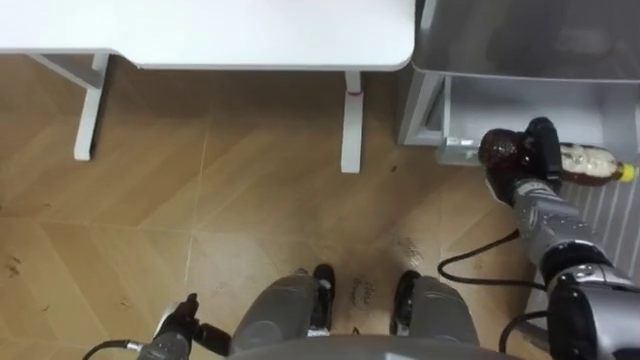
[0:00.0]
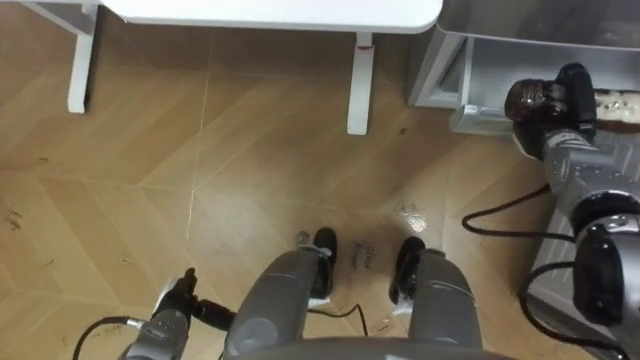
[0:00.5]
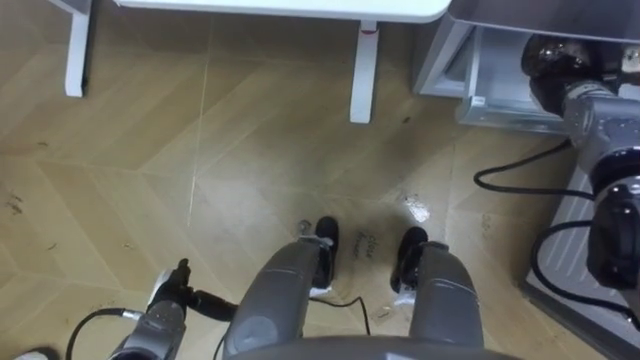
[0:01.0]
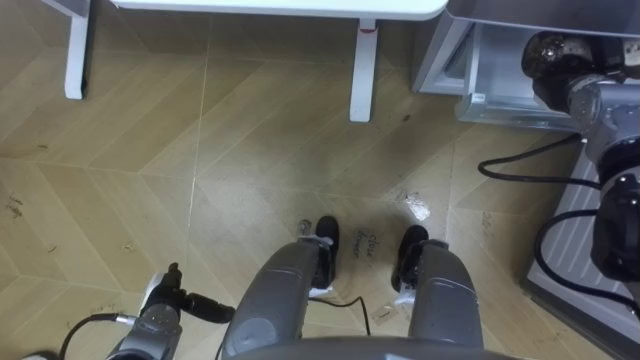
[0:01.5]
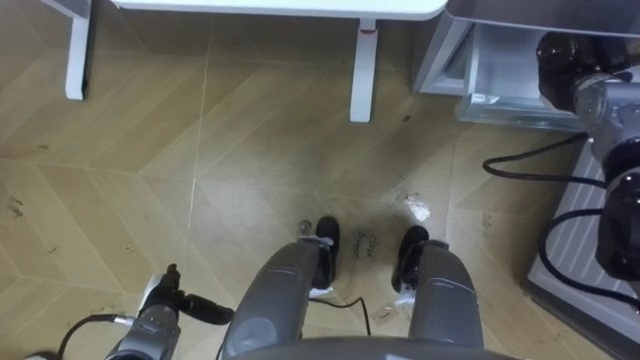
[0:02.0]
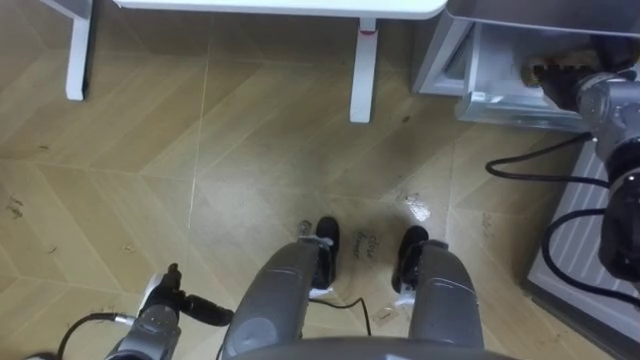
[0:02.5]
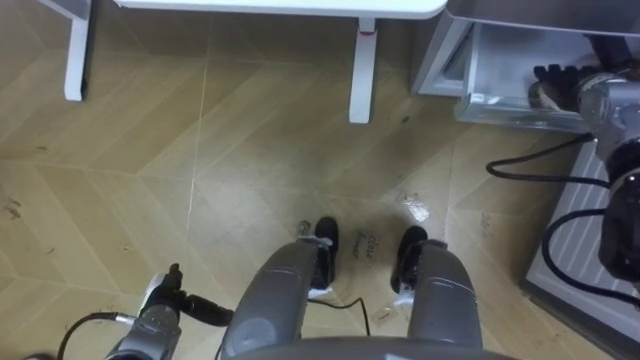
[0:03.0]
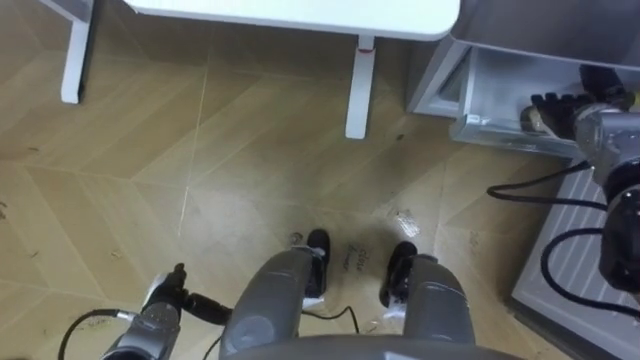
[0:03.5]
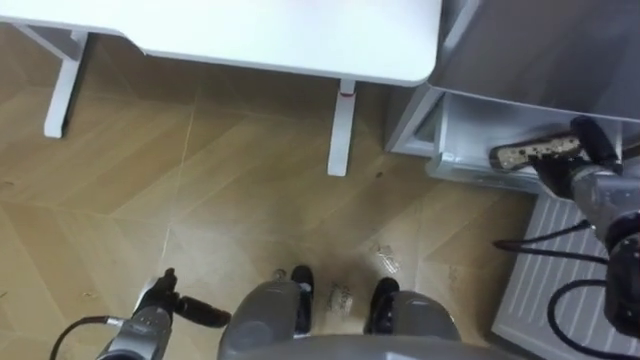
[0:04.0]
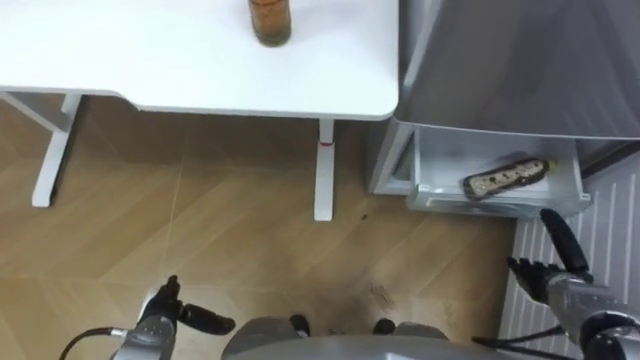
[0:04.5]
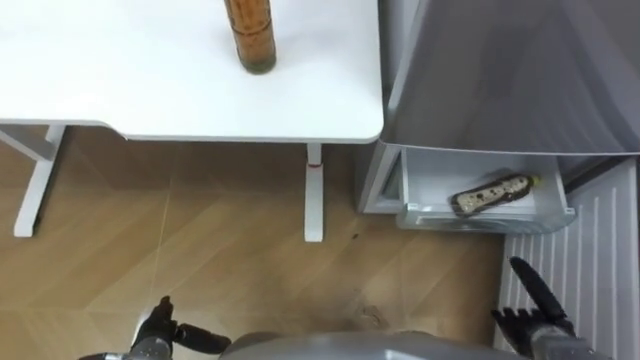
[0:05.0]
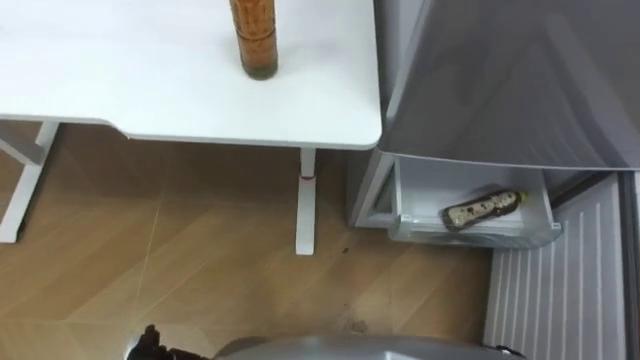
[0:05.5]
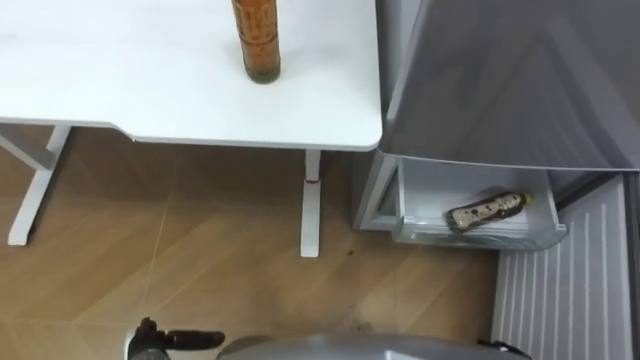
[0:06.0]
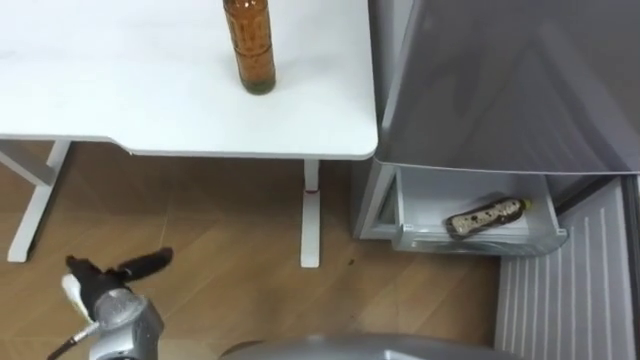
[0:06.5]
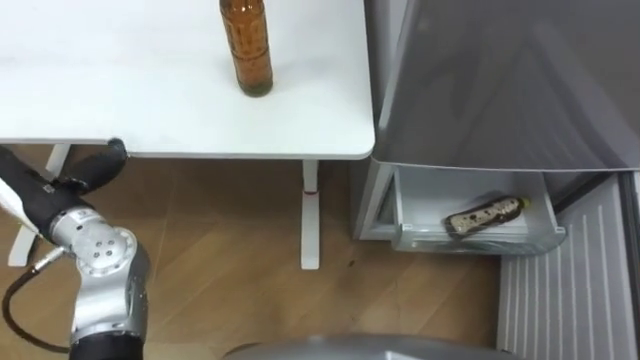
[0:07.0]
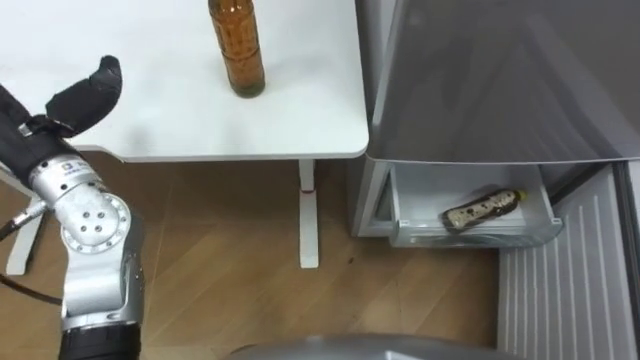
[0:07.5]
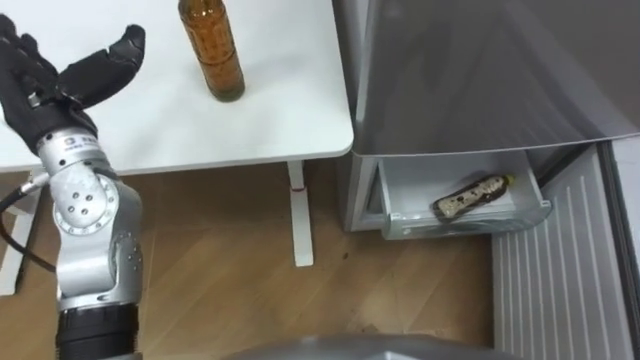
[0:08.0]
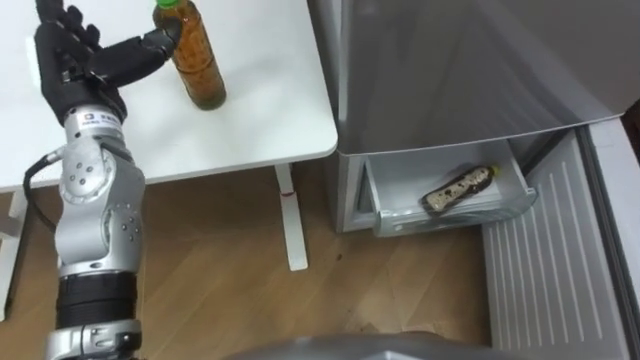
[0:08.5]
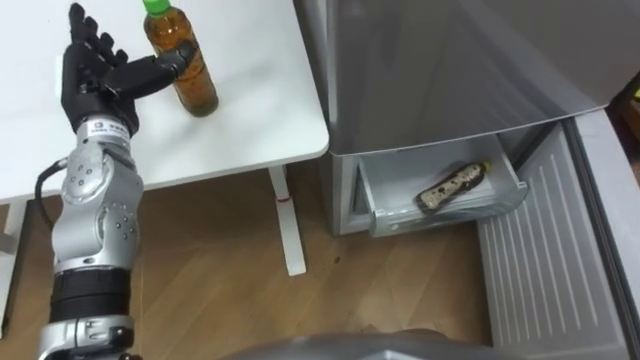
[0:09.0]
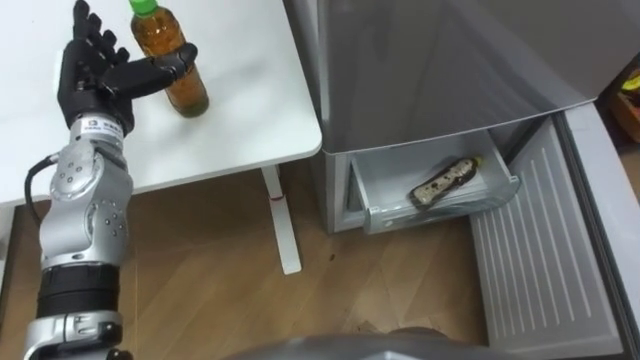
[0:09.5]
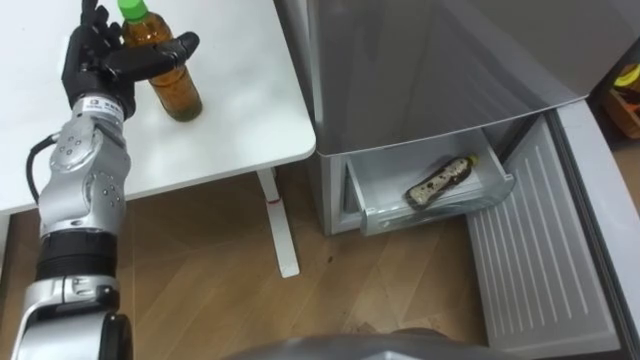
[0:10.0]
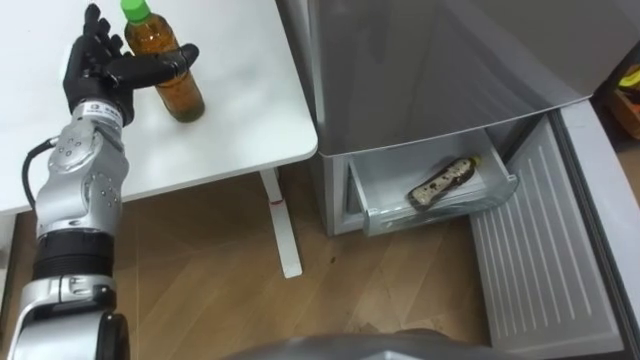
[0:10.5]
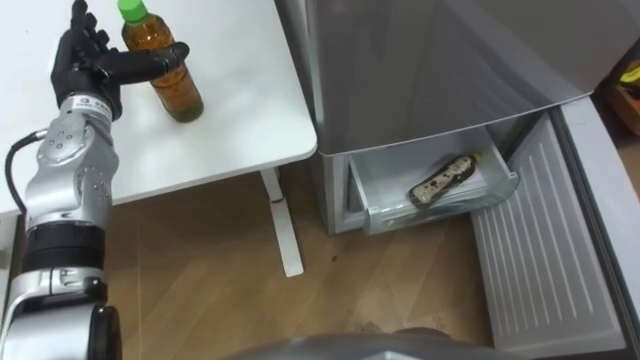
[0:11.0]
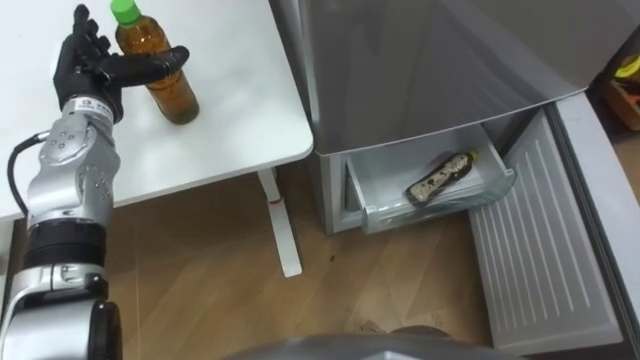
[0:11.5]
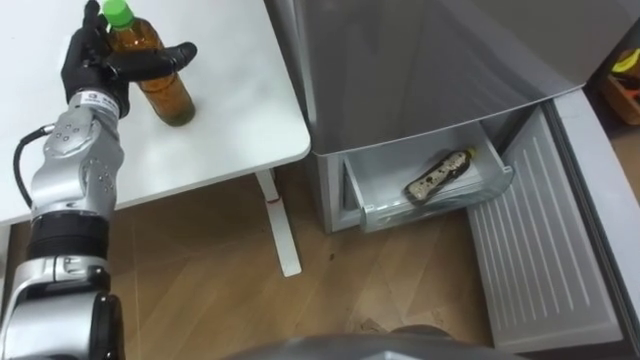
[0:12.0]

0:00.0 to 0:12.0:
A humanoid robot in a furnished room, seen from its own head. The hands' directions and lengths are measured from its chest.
Task of the whole recording: Place the drink on the table on the bottom shelf of the refrigerator, then close the drawer and the refrigerator door.
0:00.0 to 0:02.0: The right hand heads upward and forward, covering about 15 cm, and opens its fingers.
0:02.0 to 0:04.0: The right hand is displaced backward and downward by some 10 cm.
0:06.0 to 0:08.0: The left hand moves upward and forward, roughly 40 cm.
0:08.0 to 0:10.0: The left hand is displaced forward by approximately 10 cm.

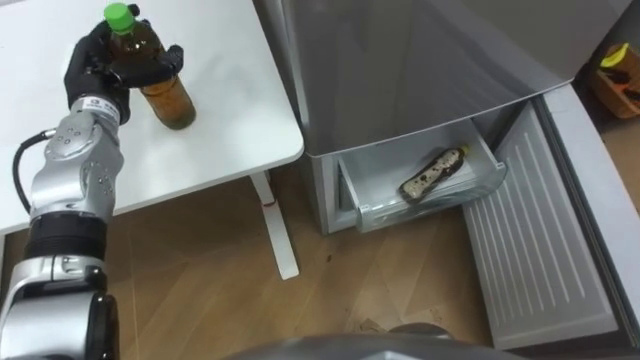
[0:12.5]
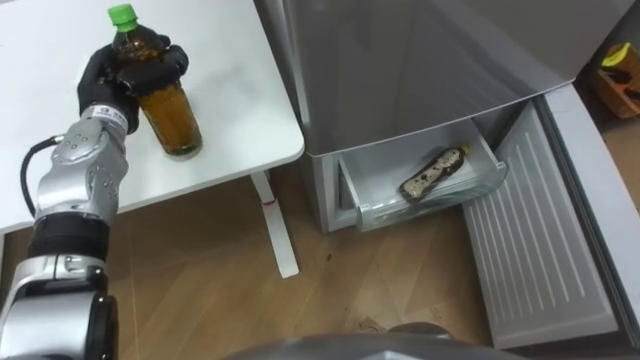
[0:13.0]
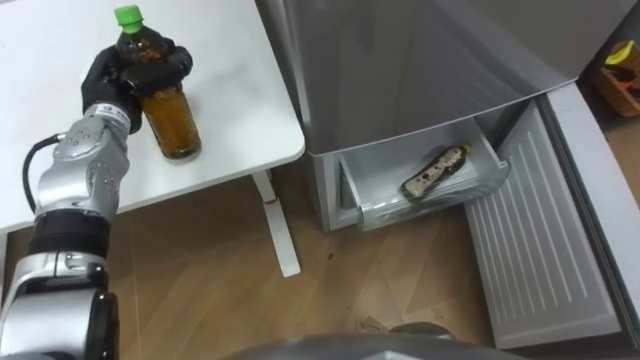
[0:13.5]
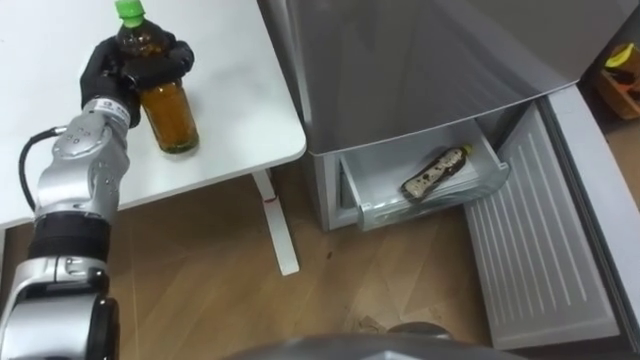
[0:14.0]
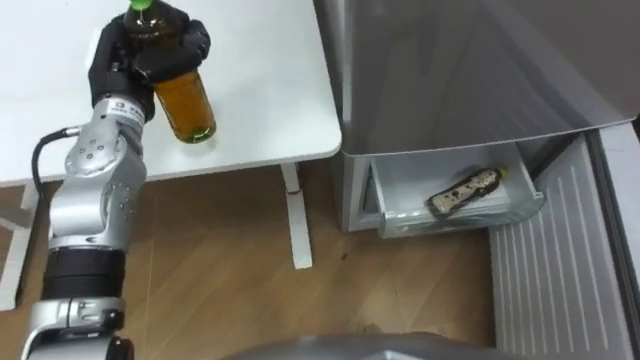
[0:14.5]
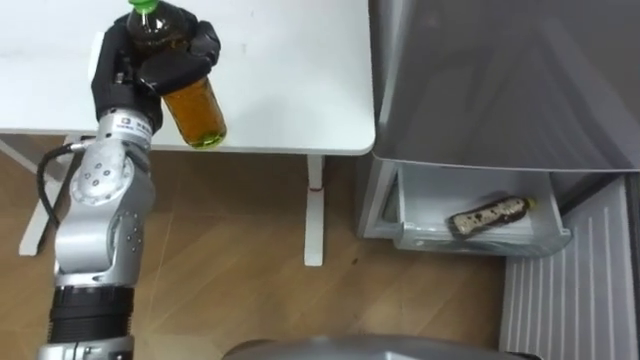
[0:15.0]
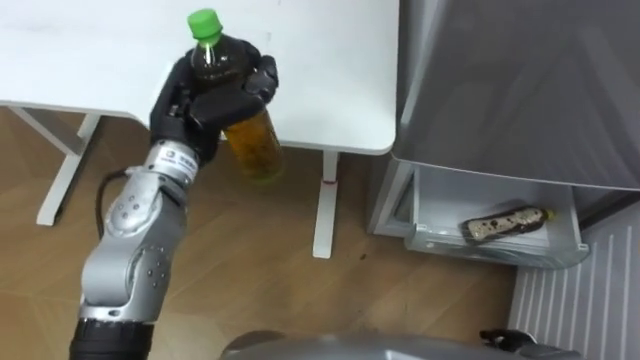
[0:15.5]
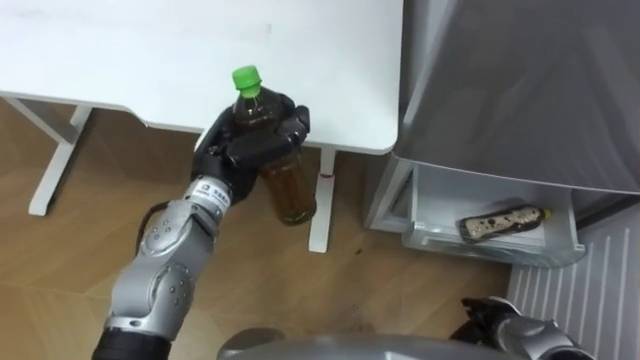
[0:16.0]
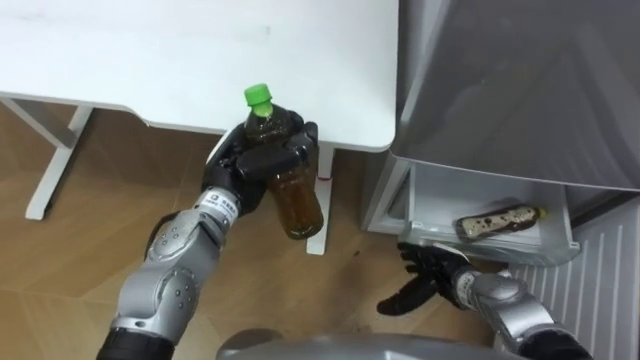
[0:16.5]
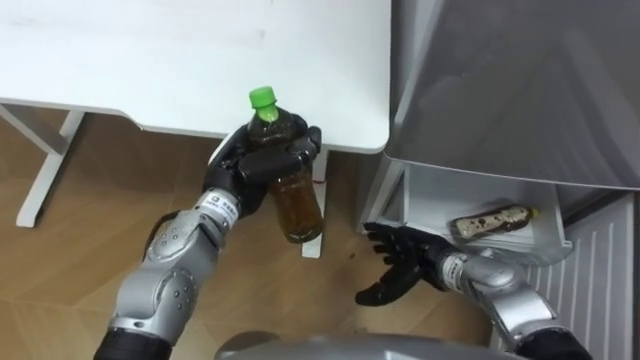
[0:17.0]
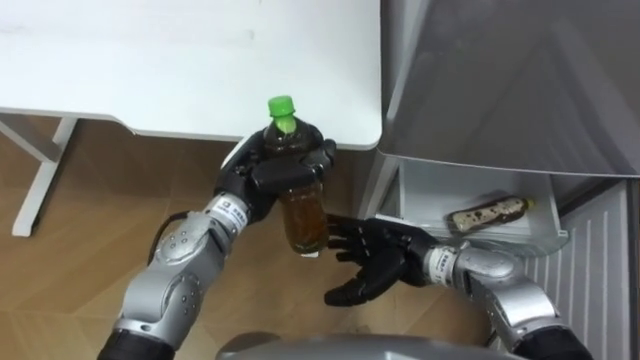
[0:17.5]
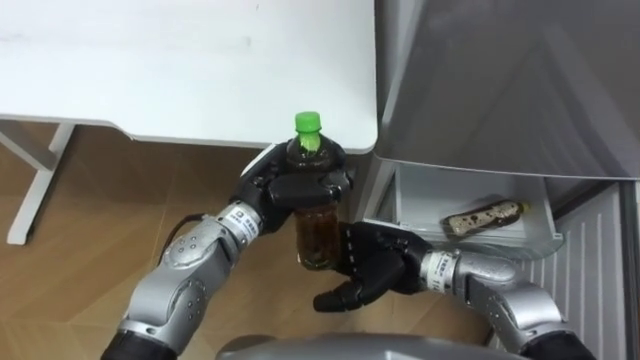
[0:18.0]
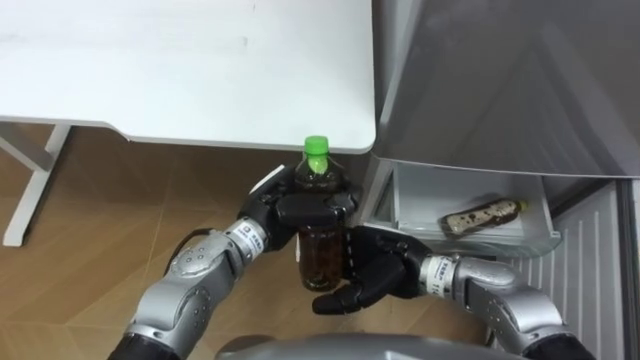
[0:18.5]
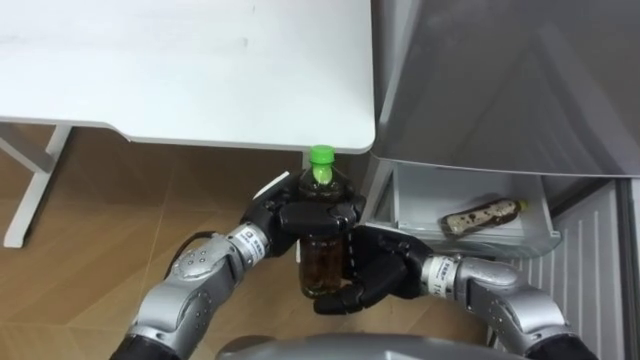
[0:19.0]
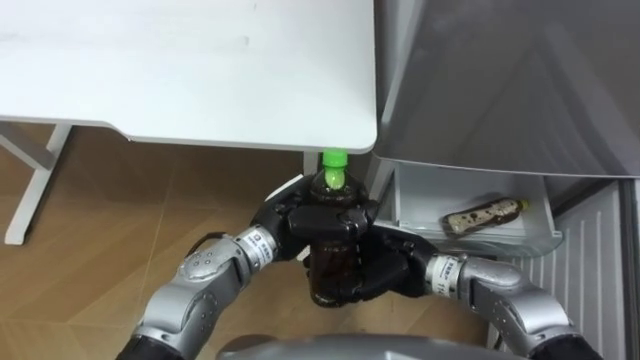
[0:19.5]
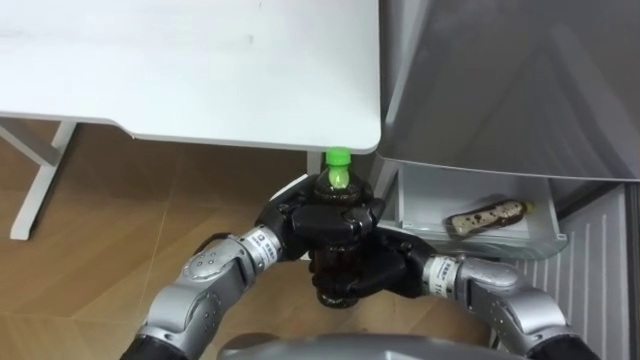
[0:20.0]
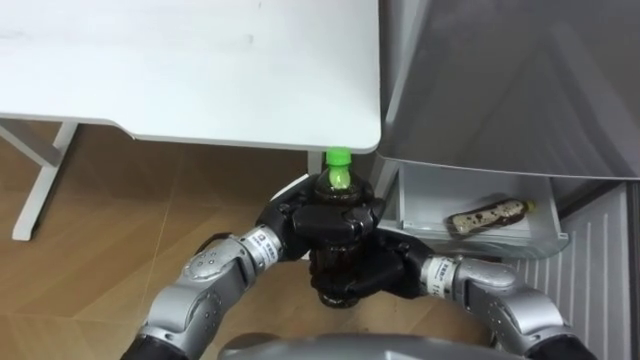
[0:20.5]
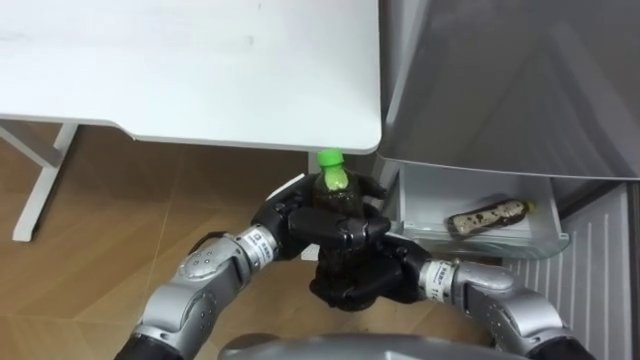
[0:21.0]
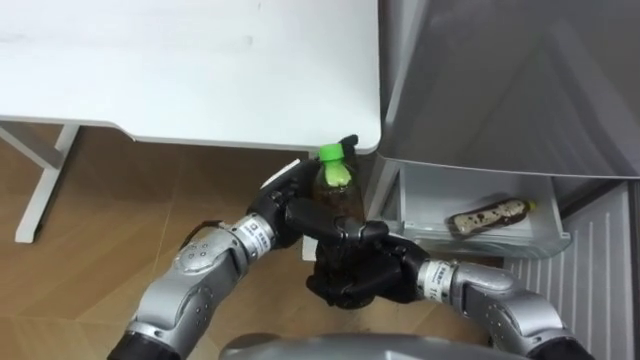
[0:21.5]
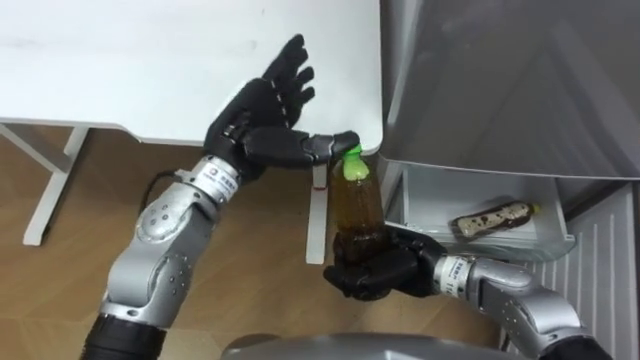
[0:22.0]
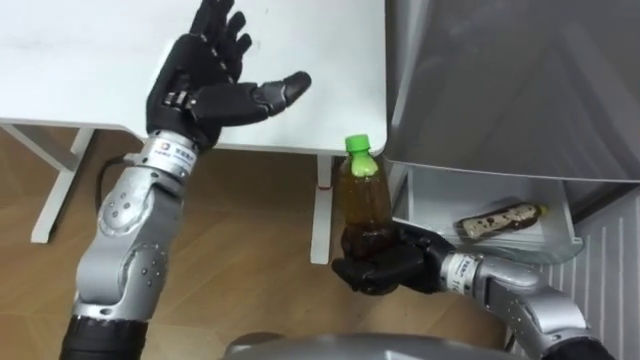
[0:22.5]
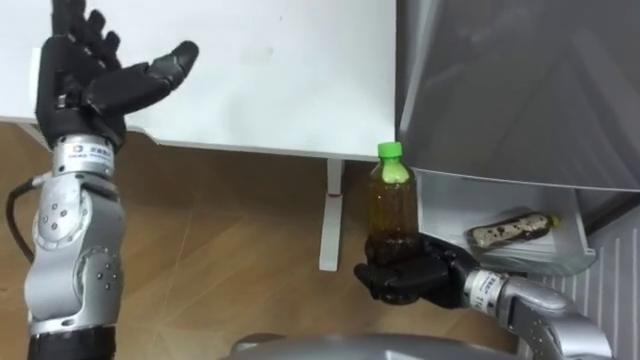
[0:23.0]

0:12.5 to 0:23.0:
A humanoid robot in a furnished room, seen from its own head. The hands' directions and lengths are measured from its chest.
Task of the whole recording: Place the drink on the table on the bottom shelf of the refrigerator, then close the drawer and the refrigerator door.
0:12.5 to 0:14.5: The left hand moves some 5 cm, and closes its fingers.
0:14.5 to 0:16.5: The left hand heads to the right, backward and downward, covering about 15 cm.
0:16.5 to 0:19.0: The left hand travels to the right by about 5 cm. The right hand moves to the left and upward, approximately 15 cm.
0:19.0 to 0:21.0: The right hand closes.
0:21.0 to 0:23.0: The left hand travels to the left and upward by roughly 25 cm, and opens up. The right hand is displaced to the right by approximately 5 cm.
